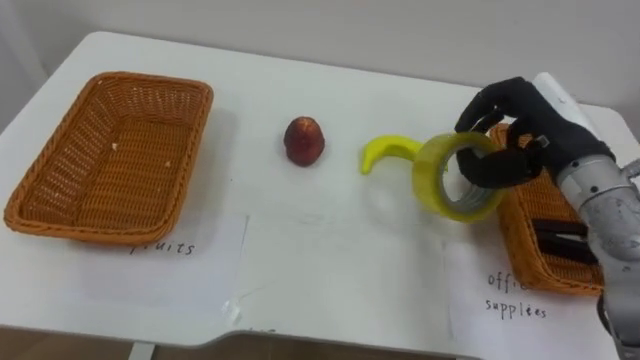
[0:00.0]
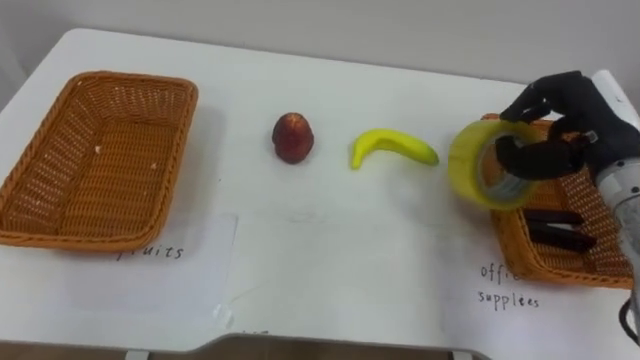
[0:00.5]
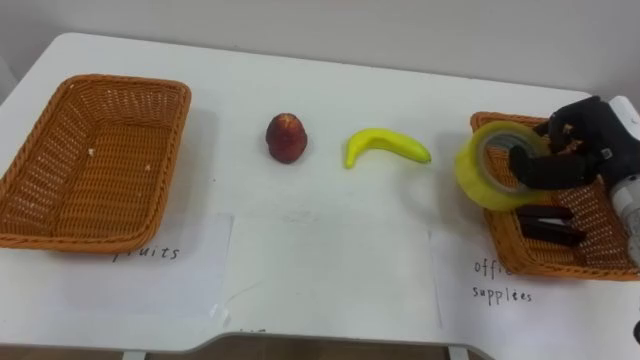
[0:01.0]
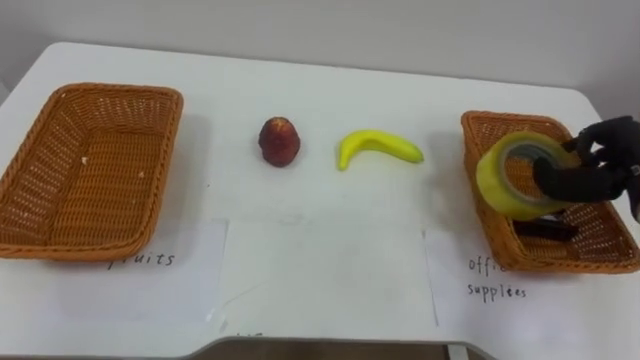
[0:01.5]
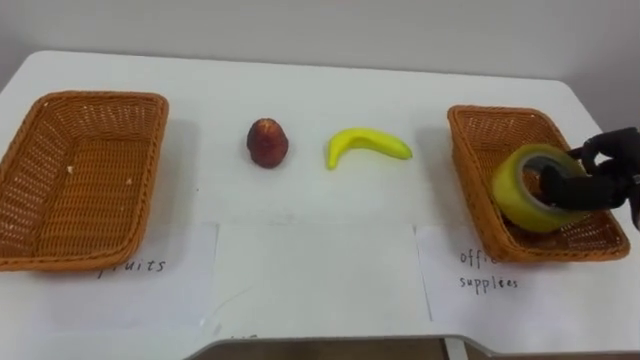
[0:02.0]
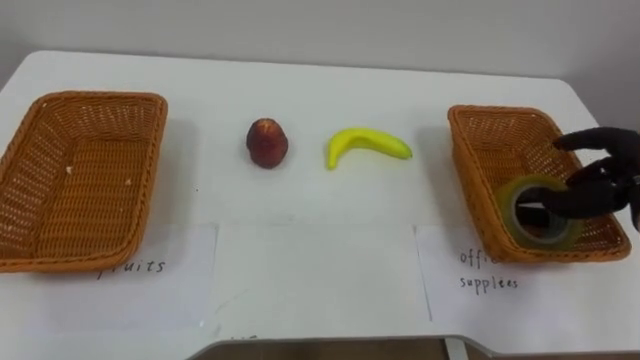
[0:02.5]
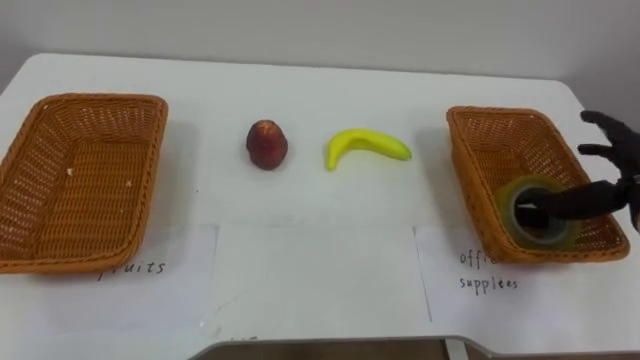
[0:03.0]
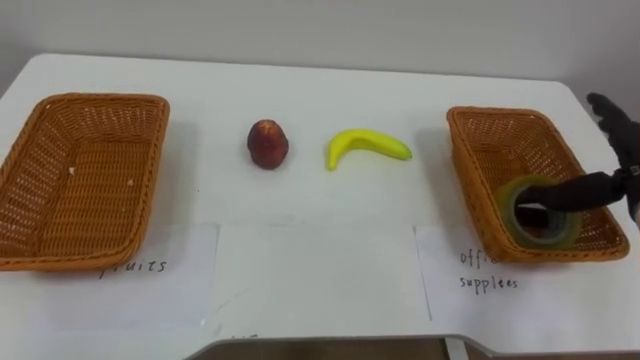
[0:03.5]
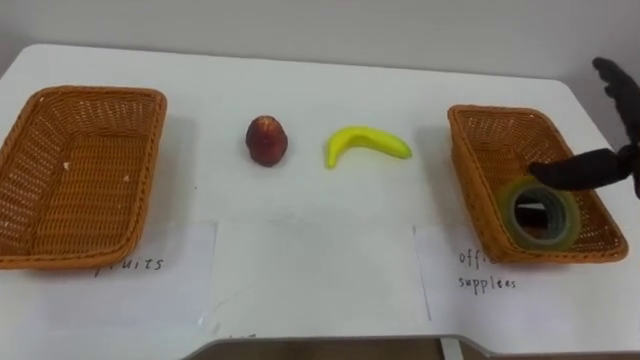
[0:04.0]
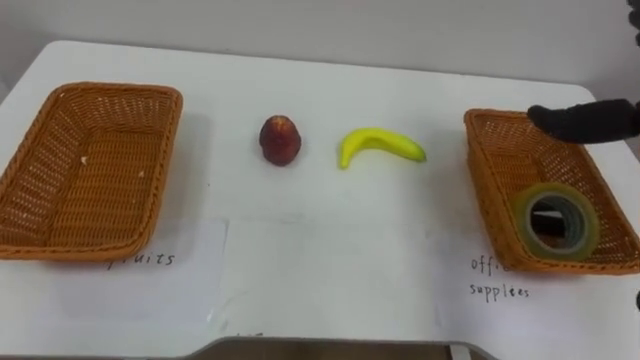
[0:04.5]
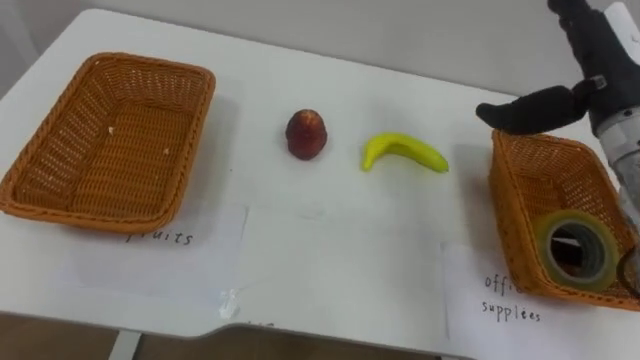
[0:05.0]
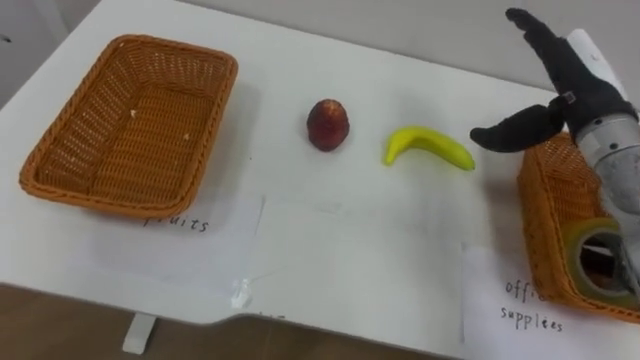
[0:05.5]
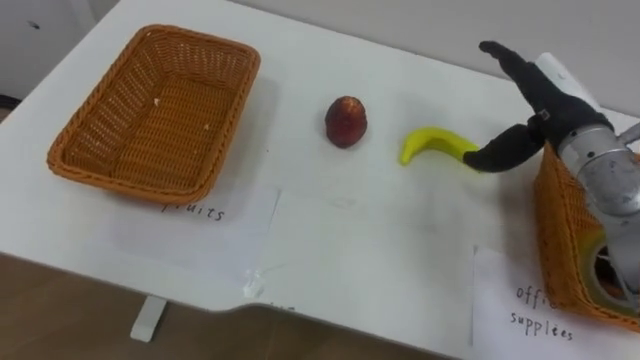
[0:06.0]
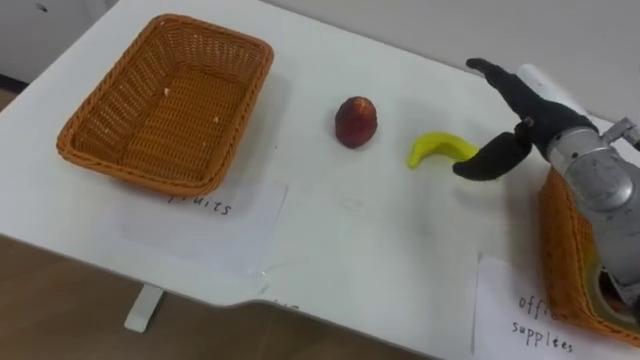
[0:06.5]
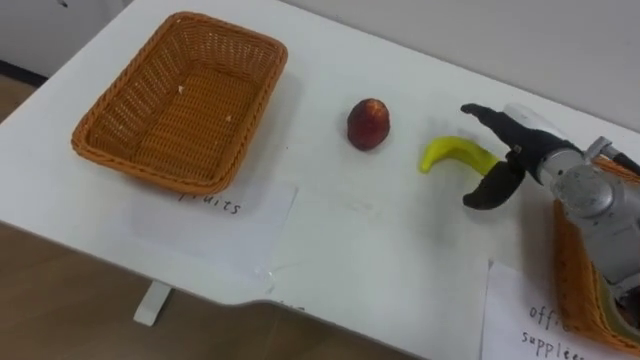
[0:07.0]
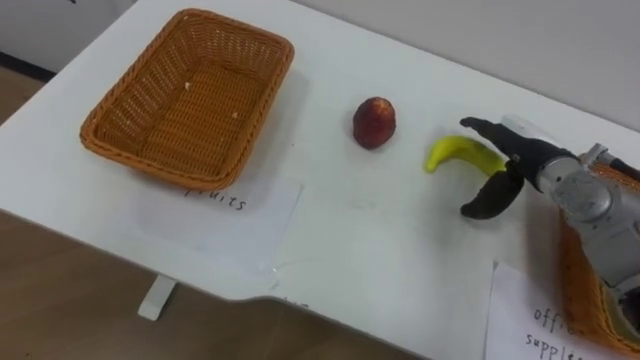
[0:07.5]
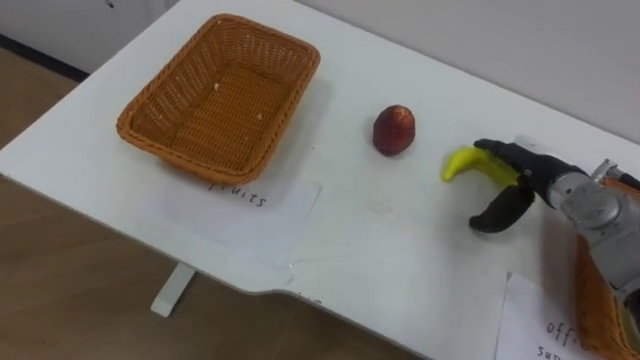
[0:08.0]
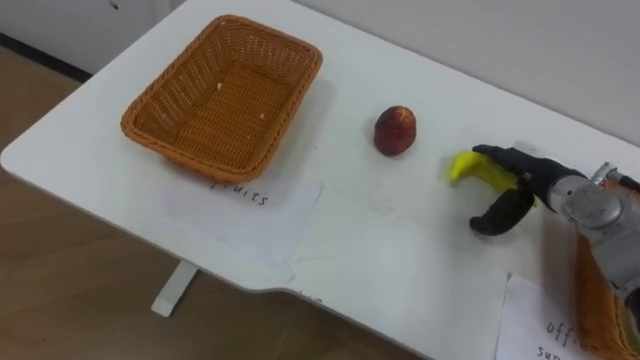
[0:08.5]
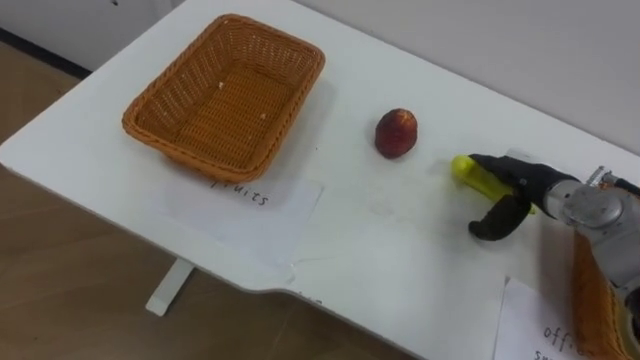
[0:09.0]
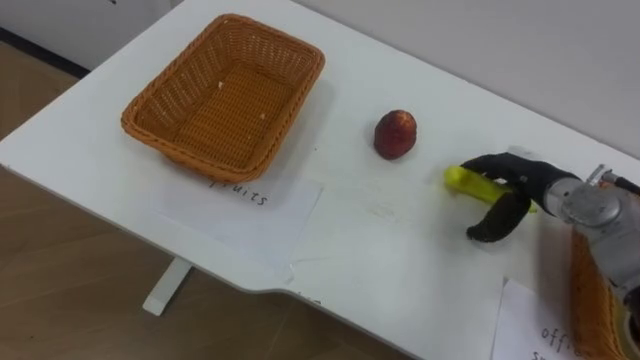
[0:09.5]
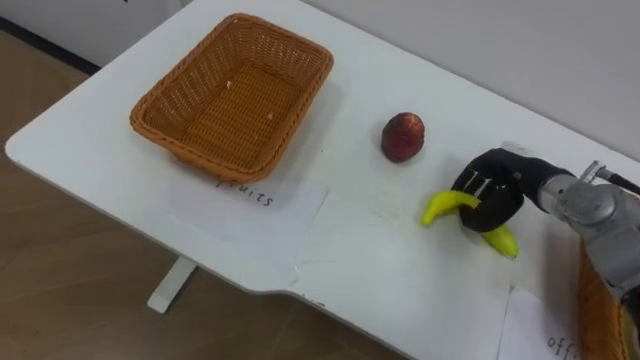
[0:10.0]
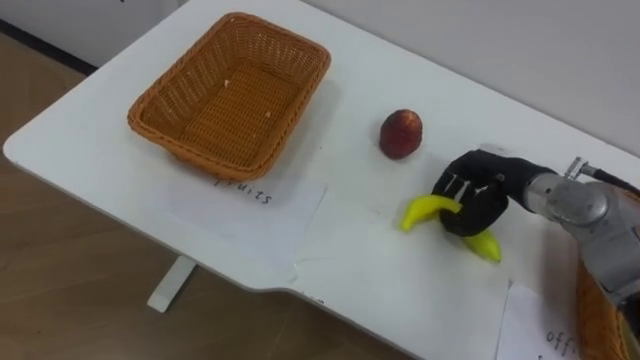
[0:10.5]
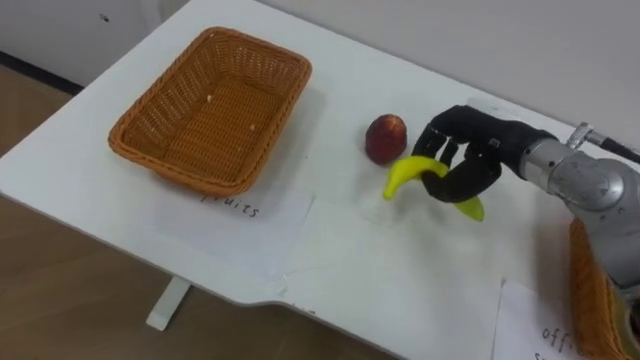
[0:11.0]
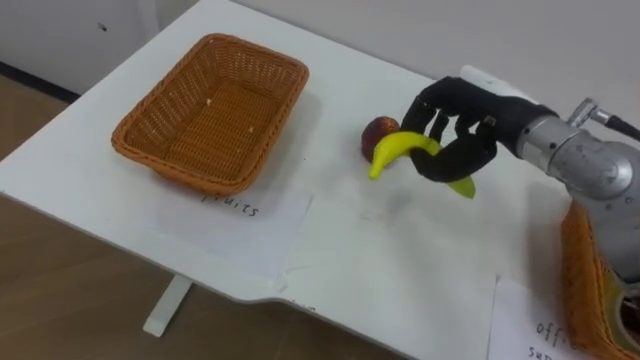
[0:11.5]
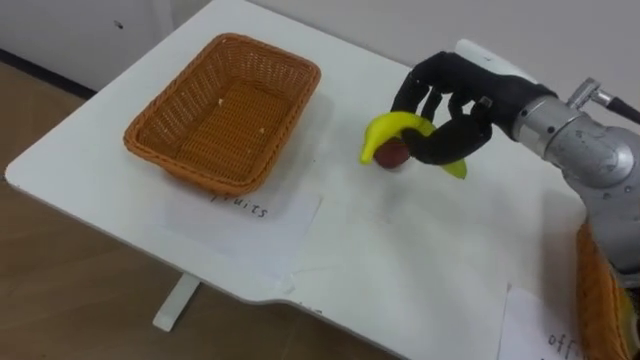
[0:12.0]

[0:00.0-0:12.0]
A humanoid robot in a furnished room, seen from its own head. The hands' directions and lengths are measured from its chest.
Task of the whole recording: Separate the items on the table and place them into the two baskets.
0:00.0 to 0:02.0: The right hand shifts approximately 15 cm to the right and downward.
0:06.0 to 0:08.0: The right hand travels downward by roughly 10 cm.
0:08.0 to 0:10.0: The right hand closes up.
0:10.0 to 0:12.0: The right hand is displaced upward and to the left by some 15 cm.

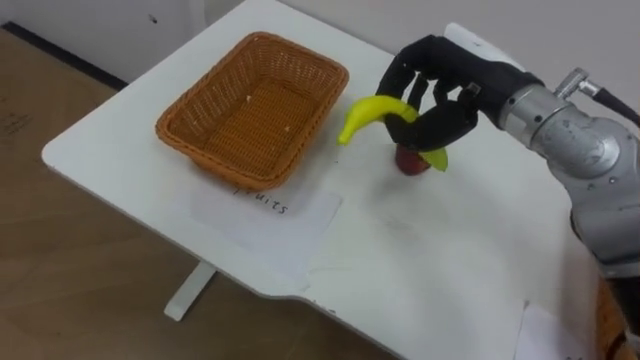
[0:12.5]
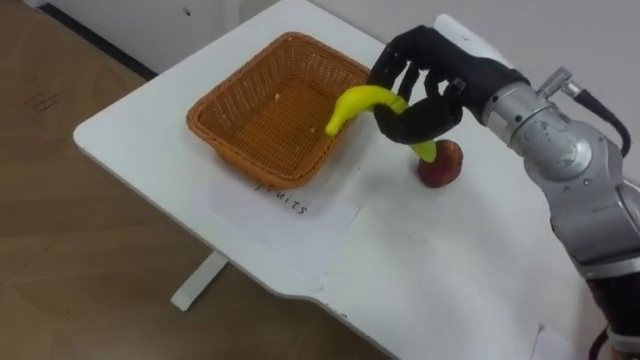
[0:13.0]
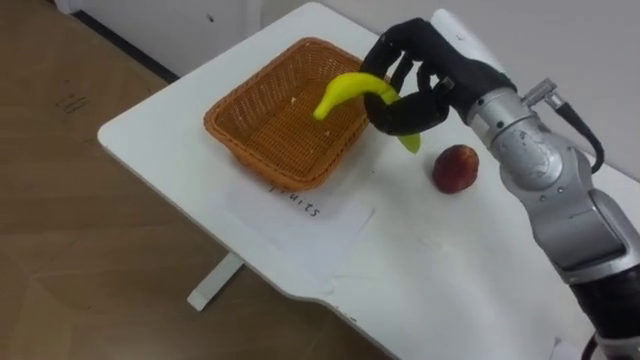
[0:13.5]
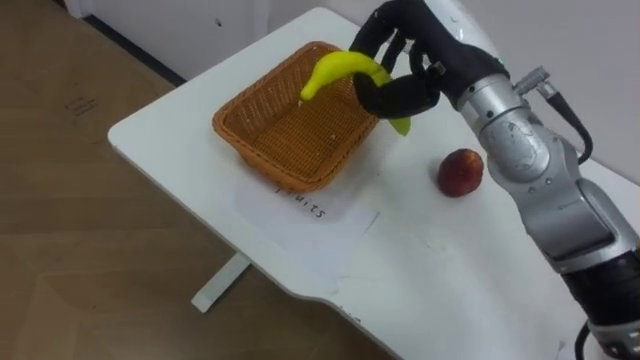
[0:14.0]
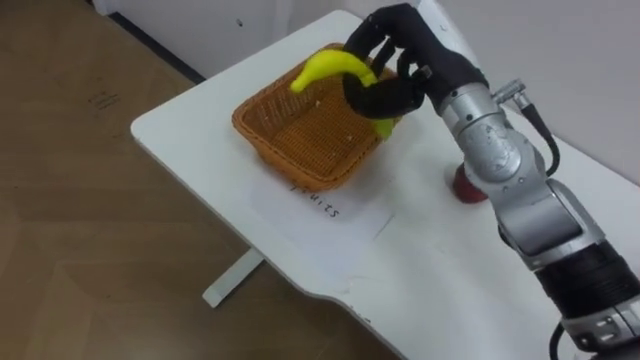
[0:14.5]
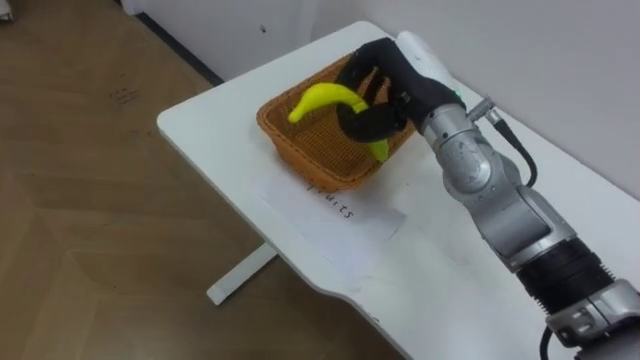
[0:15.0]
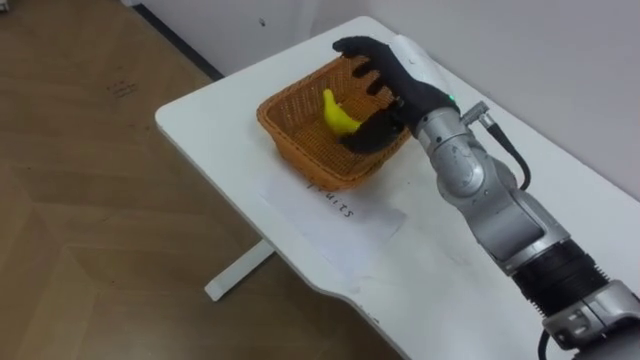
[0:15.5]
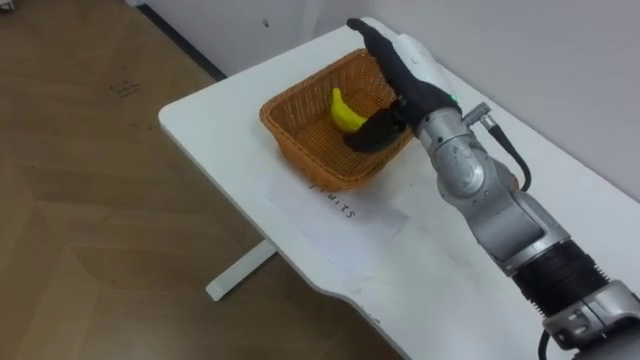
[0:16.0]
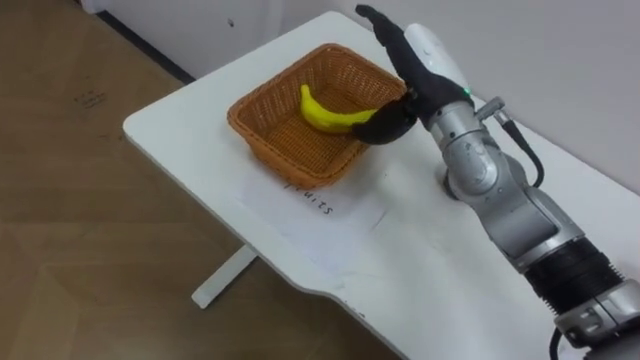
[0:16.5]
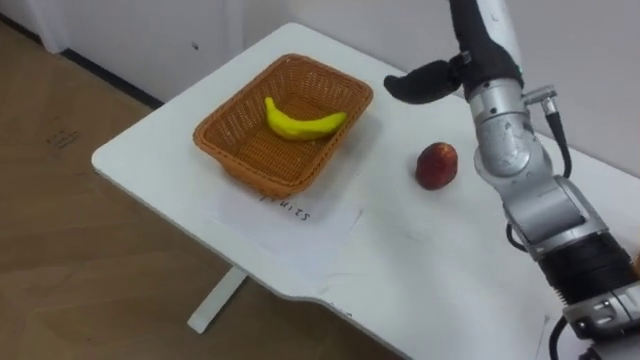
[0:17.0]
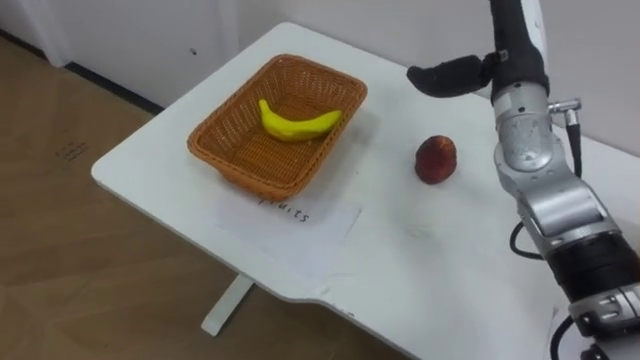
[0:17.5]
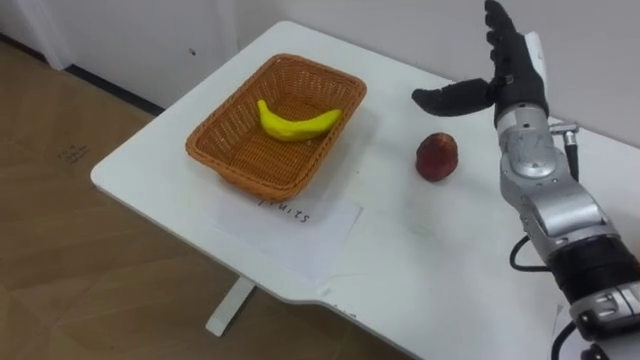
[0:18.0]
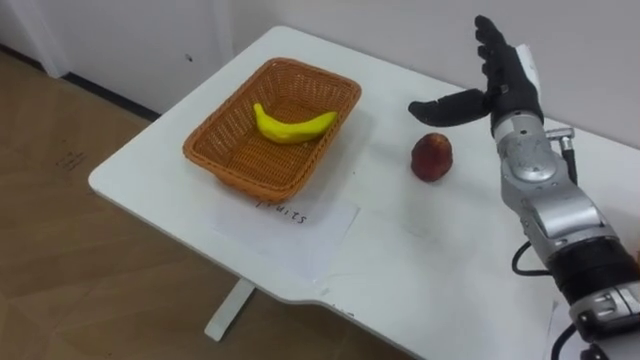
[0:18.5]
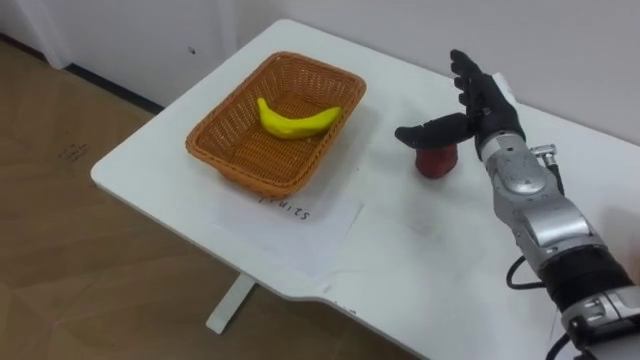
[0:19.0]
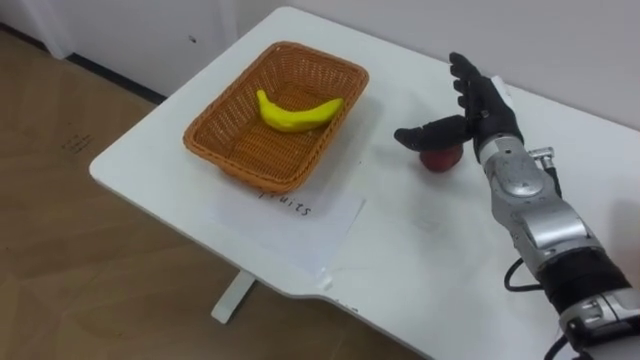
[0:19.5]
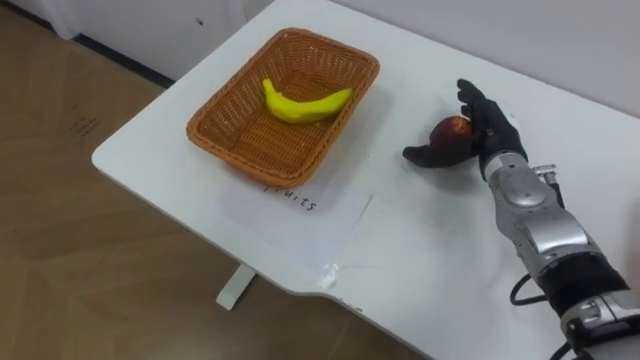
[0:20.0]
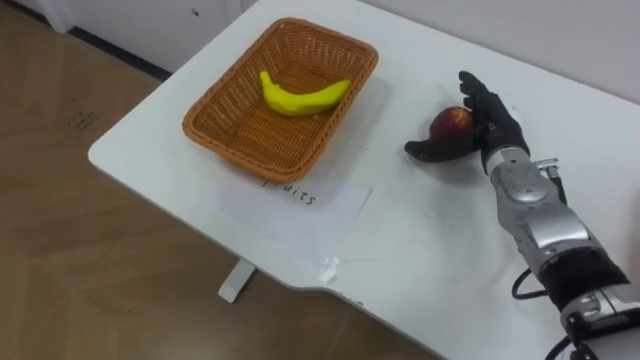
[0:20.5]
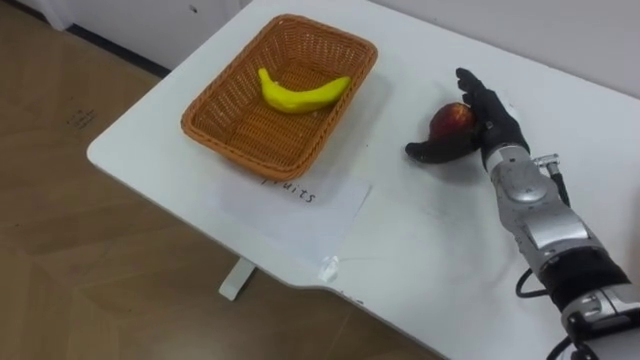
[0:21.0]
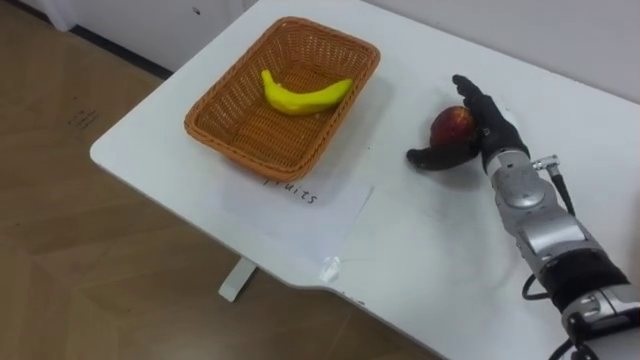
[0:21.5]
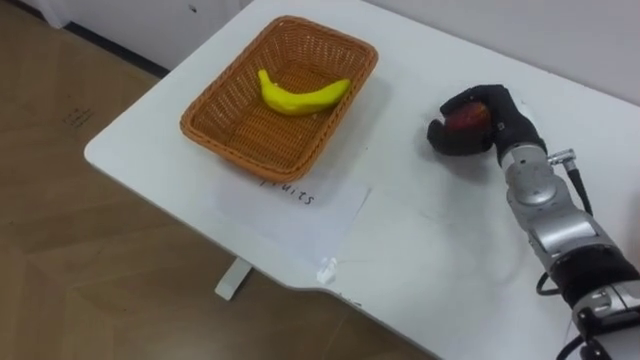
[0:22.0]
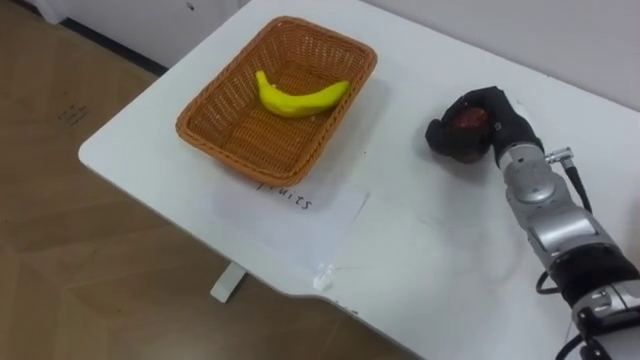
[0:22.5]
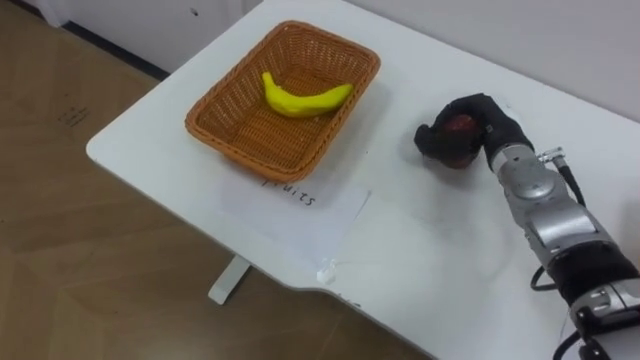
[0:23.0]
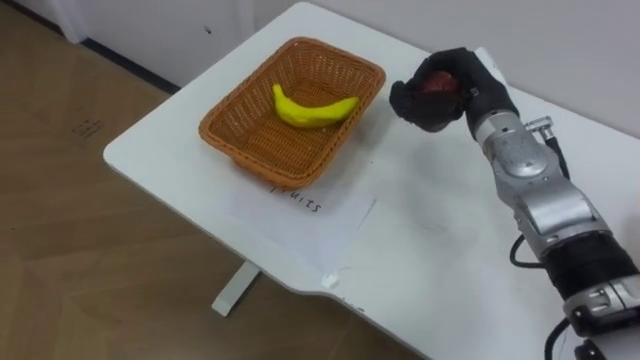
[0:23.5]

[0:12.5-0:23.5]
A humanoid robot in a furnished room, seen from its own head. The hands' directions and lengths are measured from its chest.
Task of the whole recording: Separate the items on the table and place them into the two baskets.
0:14.5 to 0:16.0: The right hand opens.
0:16.0 to 0:18.0: The right hand travels to the right by about 10 cm.
0:18.0 to 0:20.0: The right hand moves downward, roughly 10 cm.
0:21.5 to 0:23.5: The right hand travels upward by some 5 cm, and closes up.
